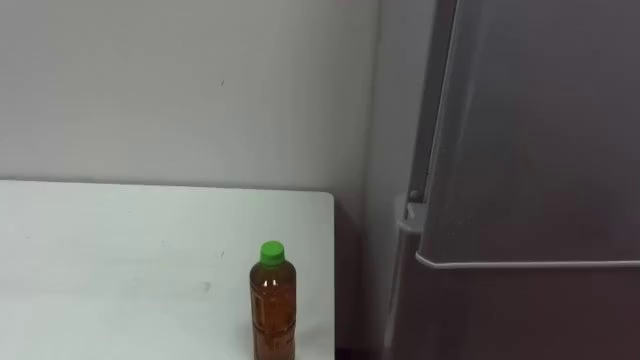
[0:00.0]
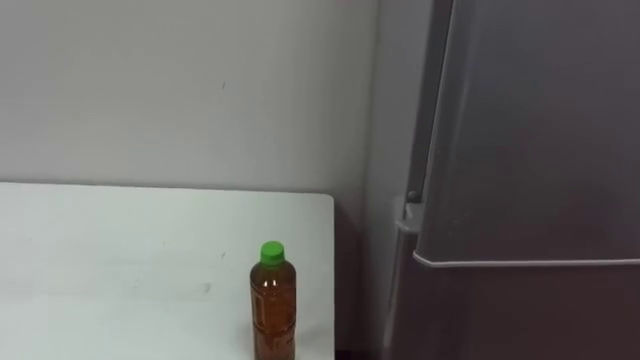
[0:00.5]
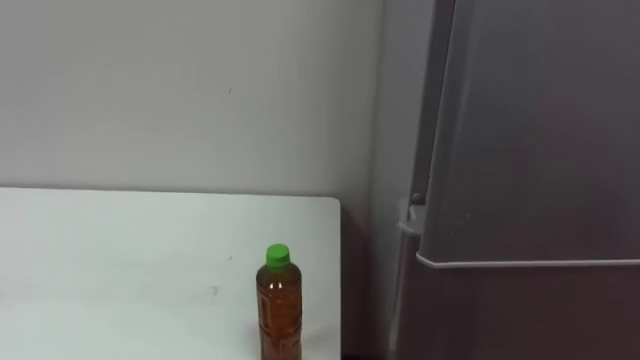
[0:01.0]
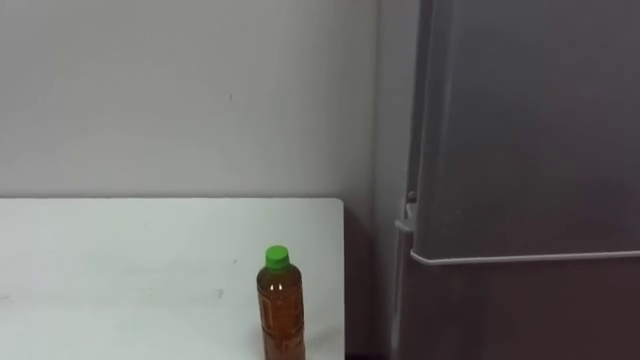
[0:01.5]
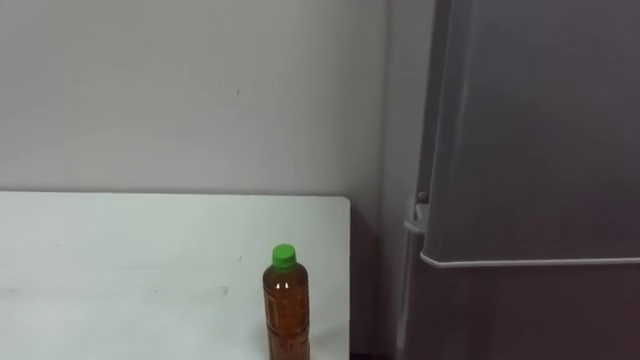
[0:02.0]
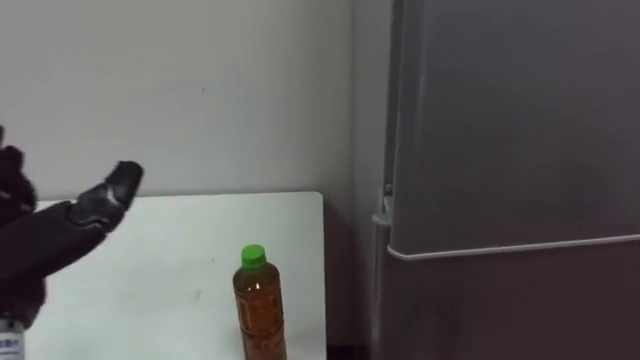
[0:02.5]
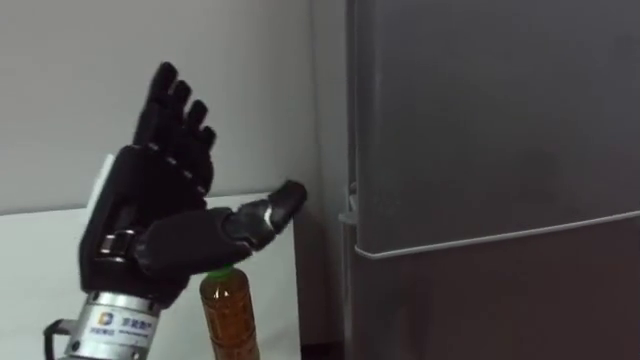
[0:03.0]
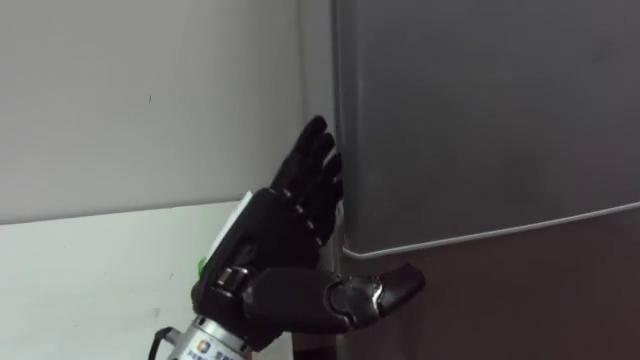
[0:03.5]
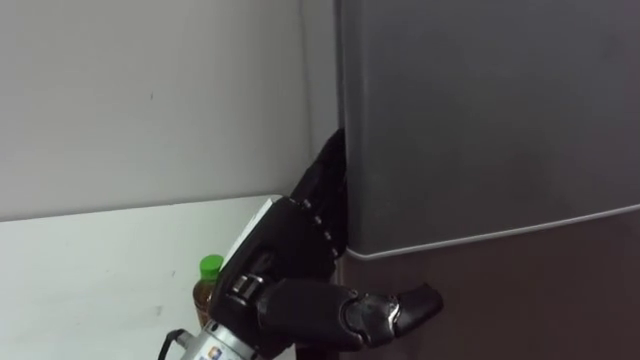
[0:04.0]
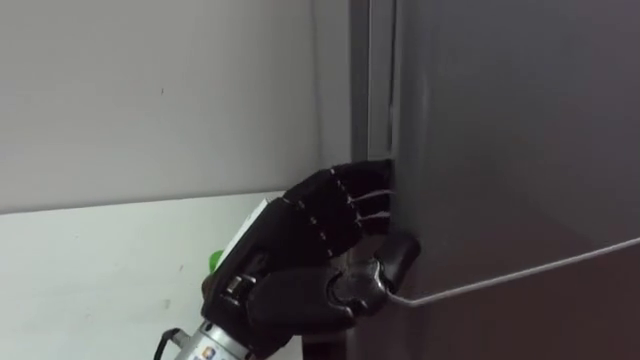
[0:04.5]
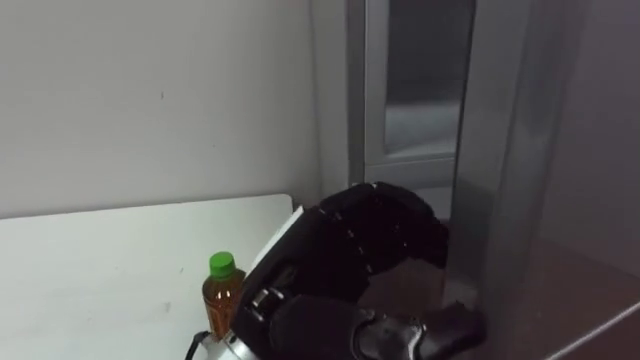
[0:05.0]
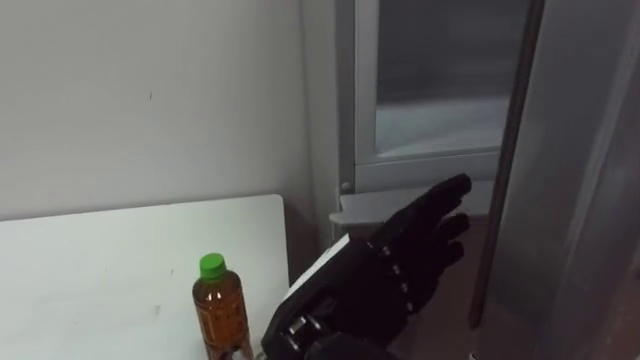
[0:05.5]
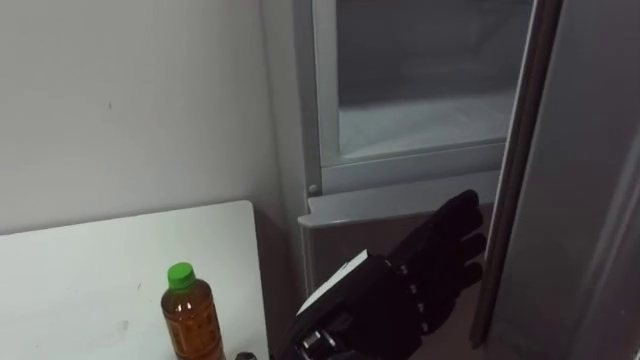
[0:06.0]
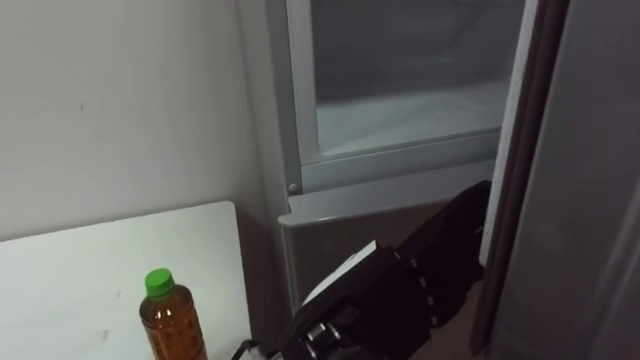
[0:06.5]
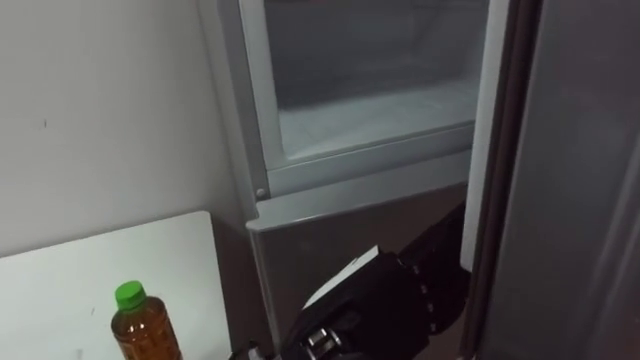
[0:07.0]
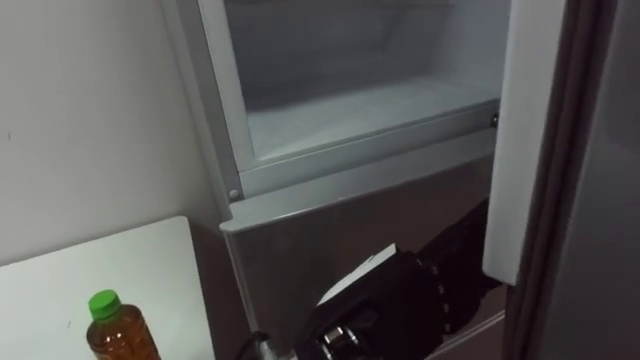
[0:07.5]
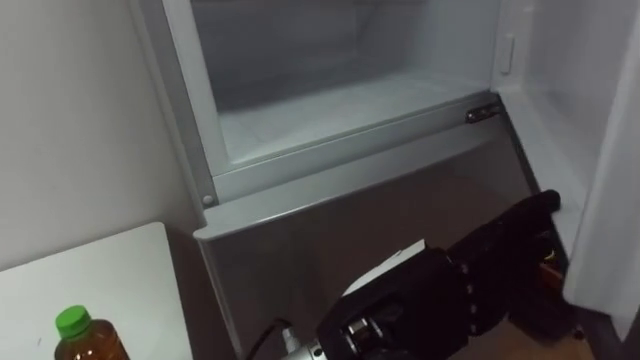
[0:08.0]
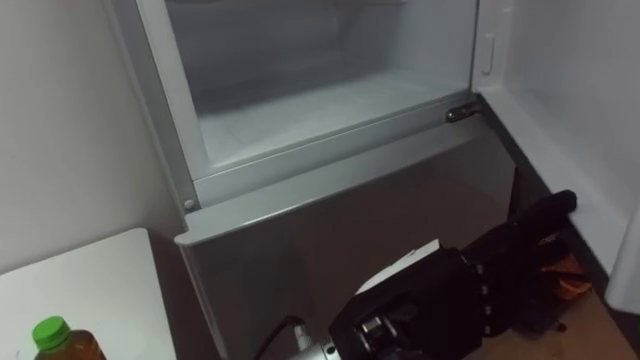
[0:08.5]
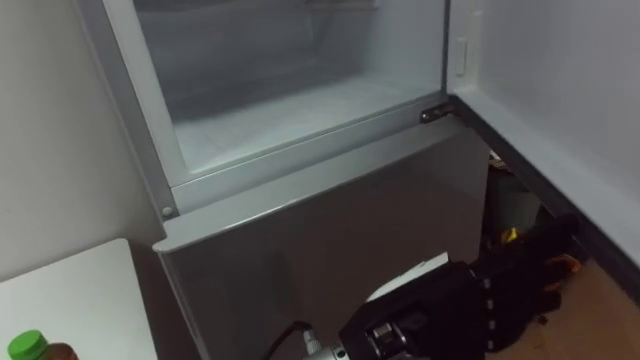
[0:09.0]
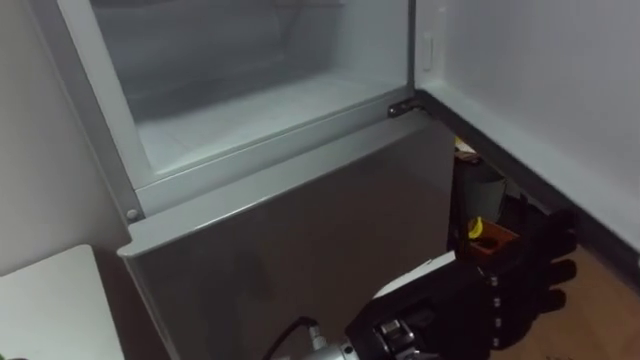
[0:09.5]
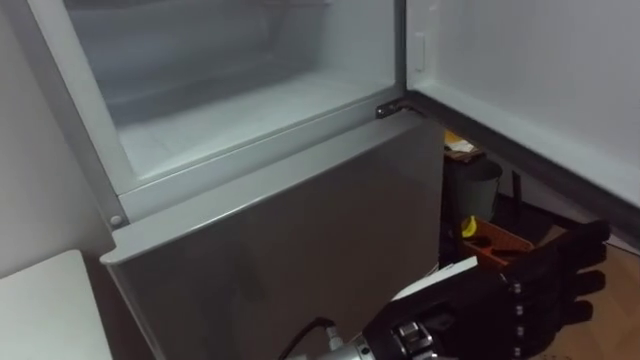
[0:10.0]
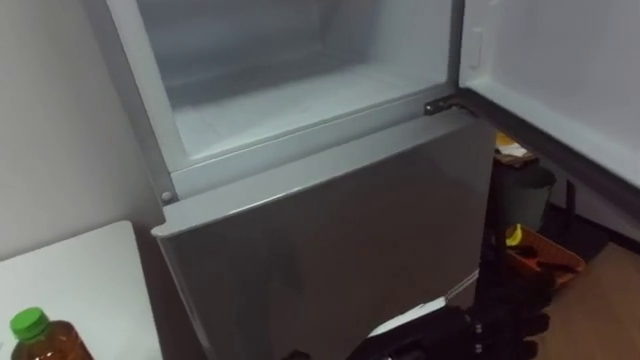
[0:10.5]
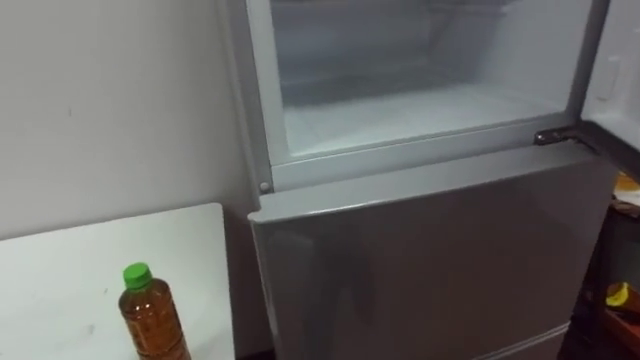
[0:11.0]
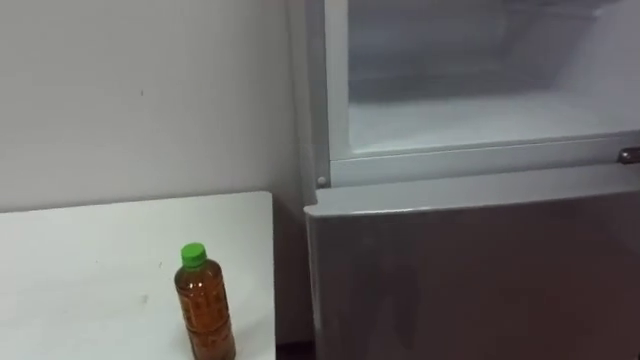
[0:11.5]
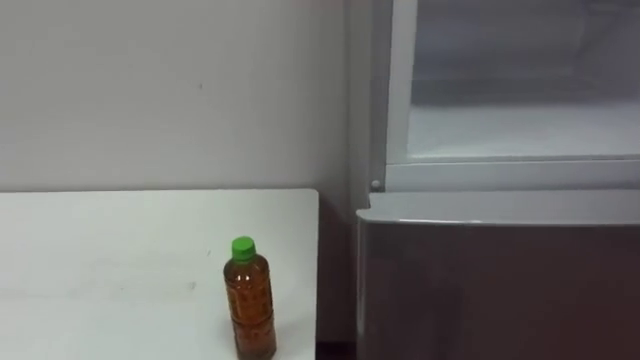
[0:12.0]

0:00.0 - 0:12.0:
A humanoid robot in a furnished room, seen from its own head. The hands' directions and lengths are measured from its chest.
Task of the whole recording: Open the upper refrigerator door, put the drink from the table into the refrigerator, and then close the refrigerator door.
0:04.0 - 0:06.0: The left hand moves to the right, some 5 cm, and closes and opens again.

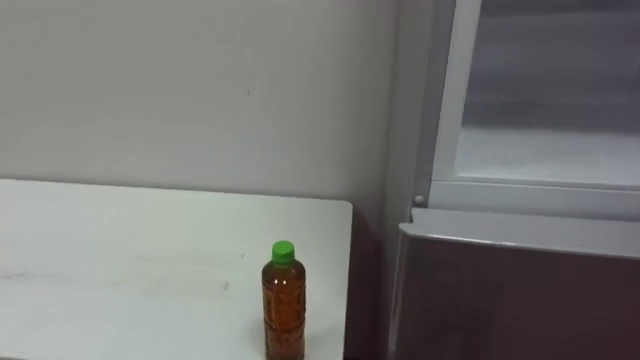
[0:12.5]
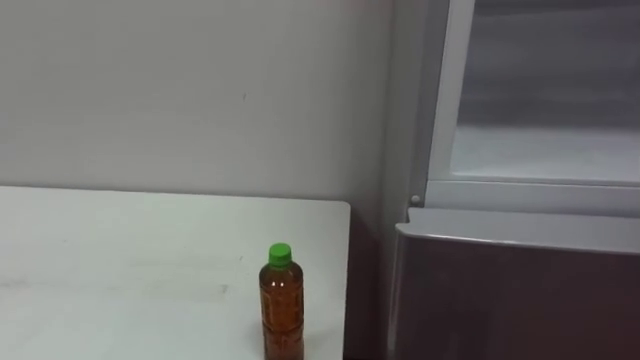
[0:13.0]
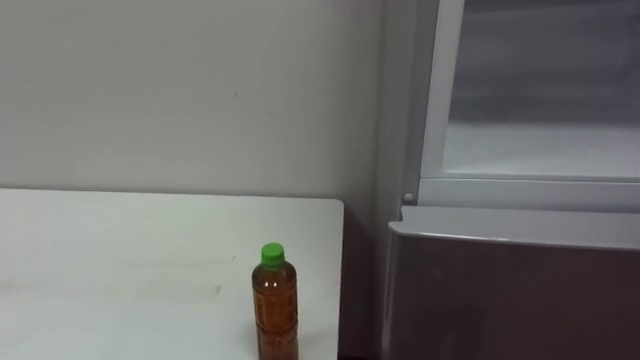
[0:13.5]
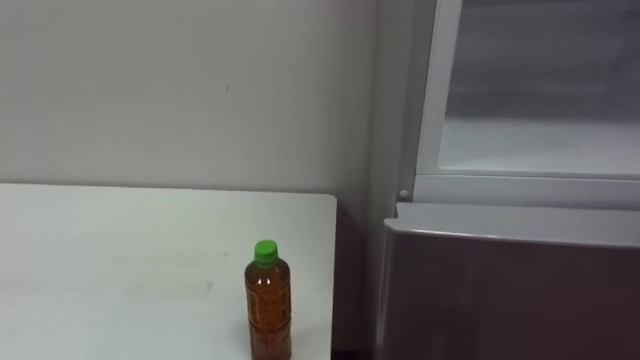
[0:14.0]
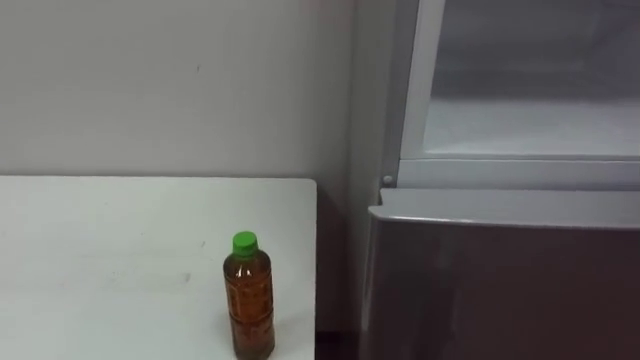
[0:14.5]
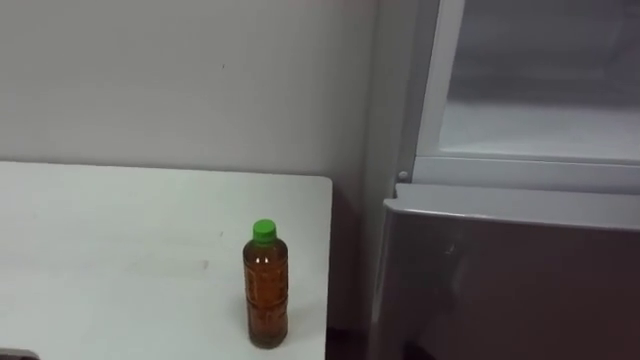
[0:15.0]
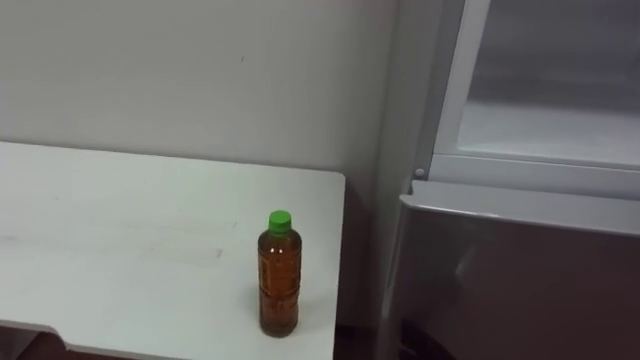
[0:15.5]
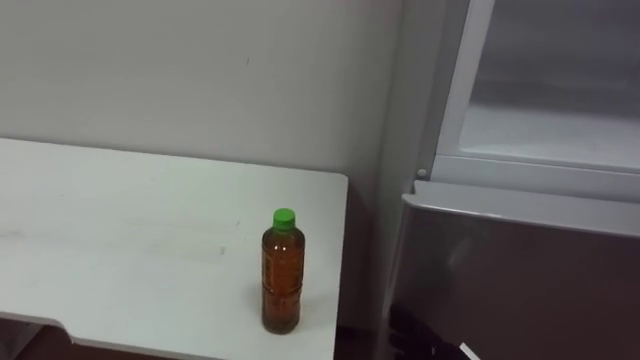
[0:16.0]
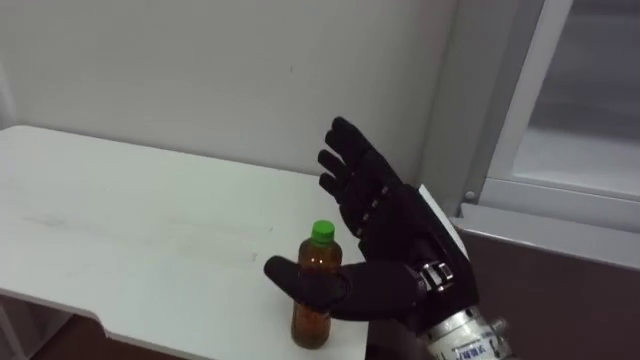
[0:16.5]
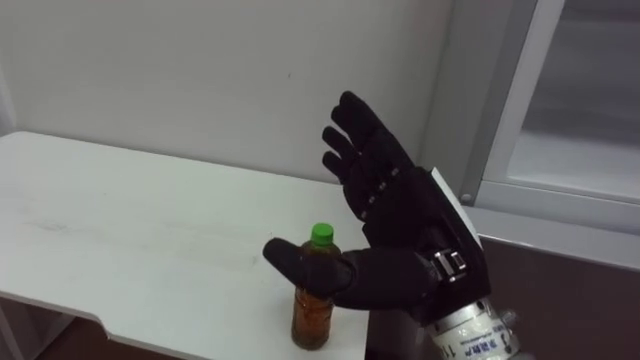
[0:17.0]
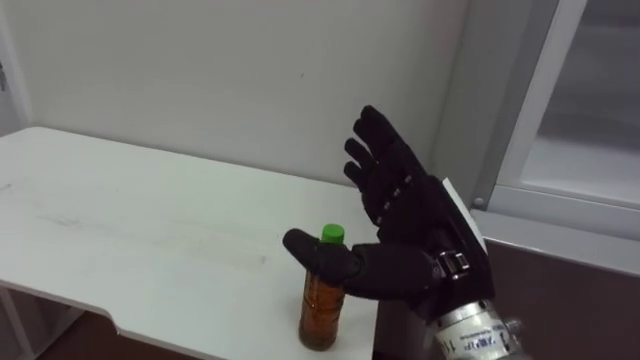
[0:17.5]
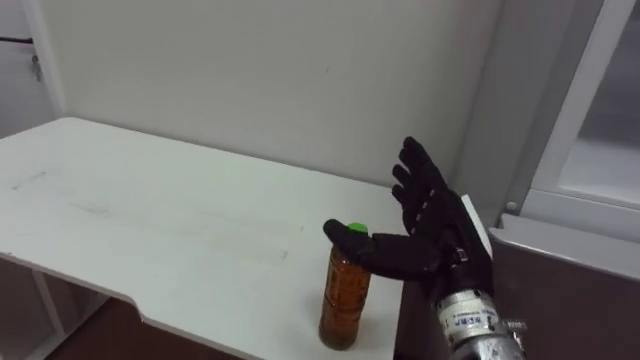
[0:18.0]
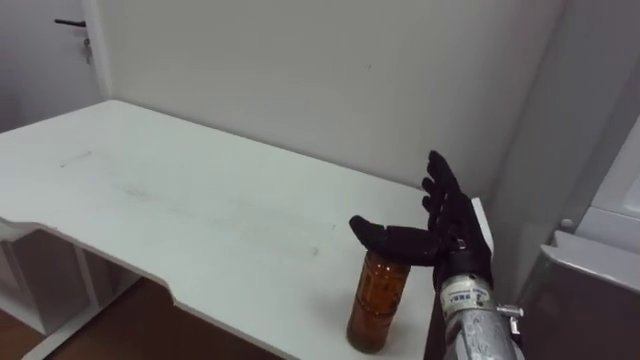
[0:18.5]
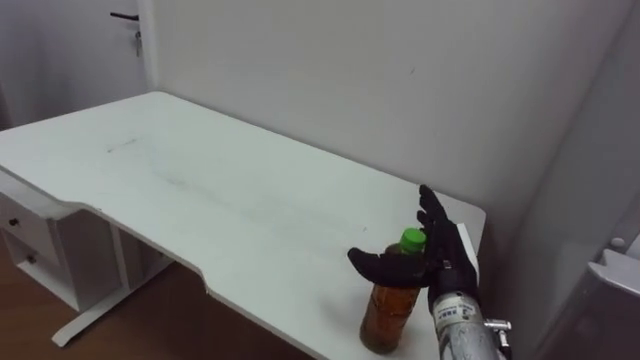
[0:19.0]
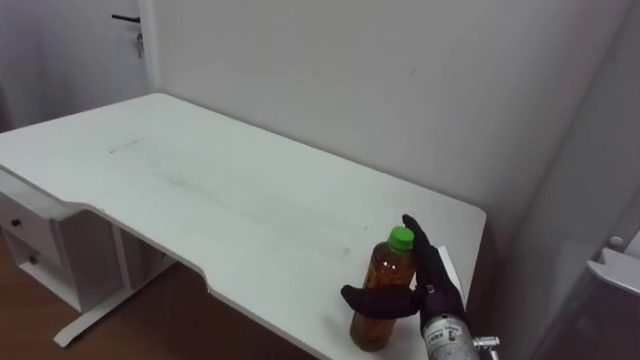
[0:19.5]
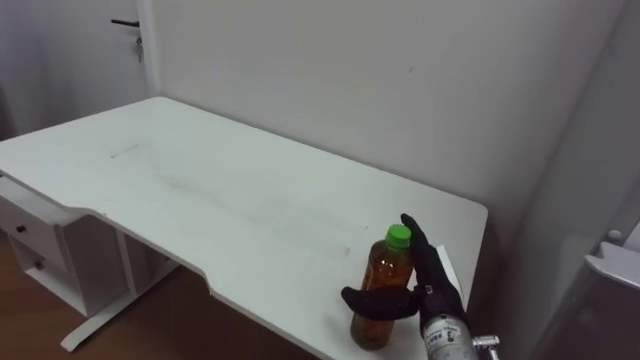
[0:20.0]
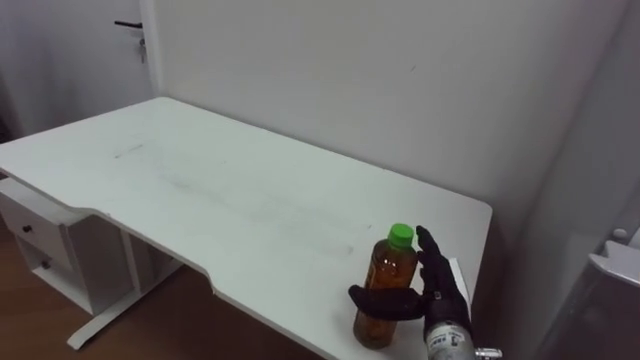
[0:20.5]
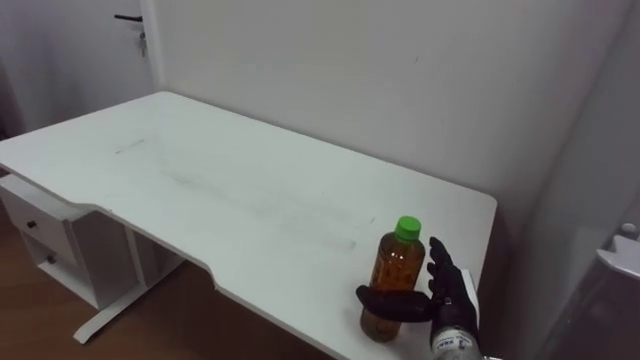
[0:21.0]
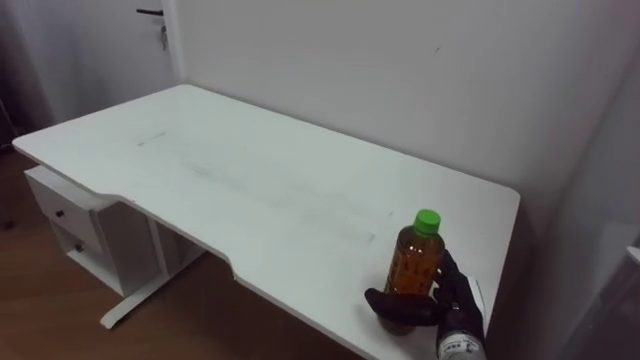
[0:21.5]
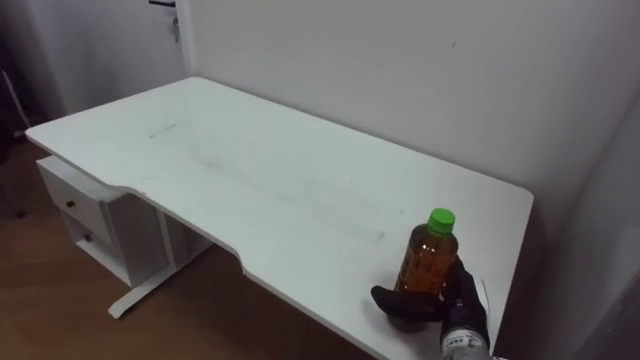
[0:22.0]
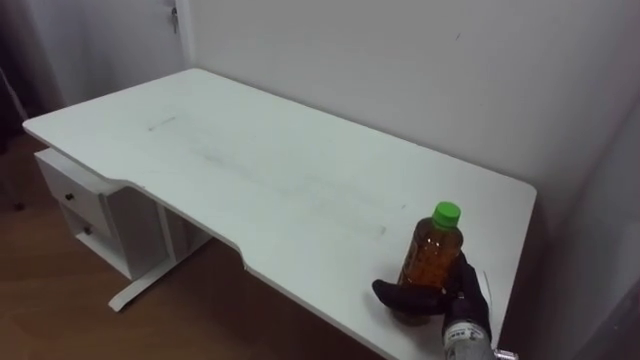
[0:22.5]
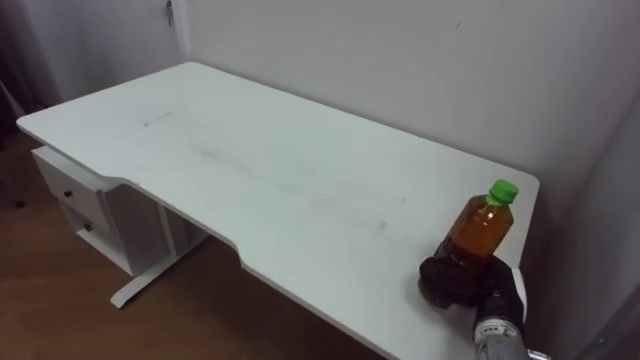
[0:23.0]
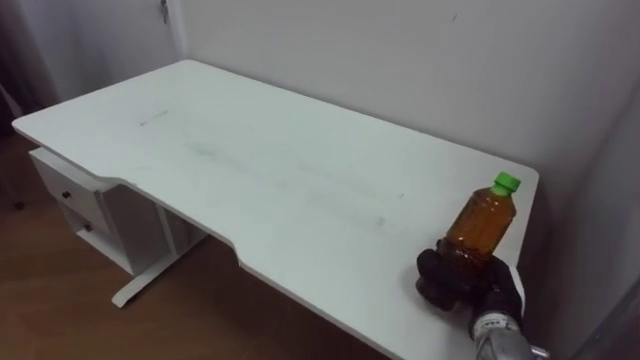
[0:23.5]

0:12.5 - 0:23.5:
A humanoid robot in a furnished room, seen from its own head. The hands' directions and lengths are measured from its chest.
Task of the whole recording: Open the upper refrigerator door, put the drink from the table into the refrigerator, and then close the refrigerator door.
0:18.0 - 0:20.0: The right hand moves downward, some 10 cm.
0:21.5 - 0:23.5: The right hand shifts some 5 cm to the right, and closes.
